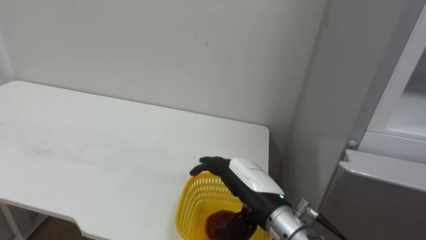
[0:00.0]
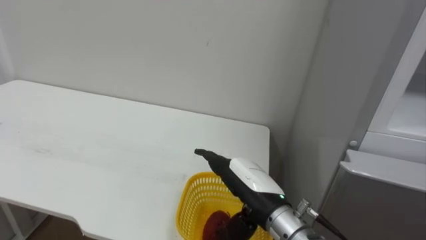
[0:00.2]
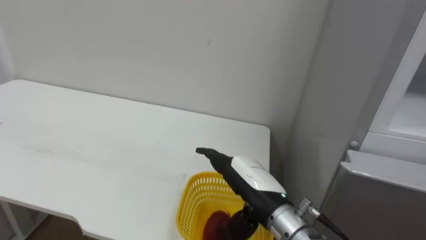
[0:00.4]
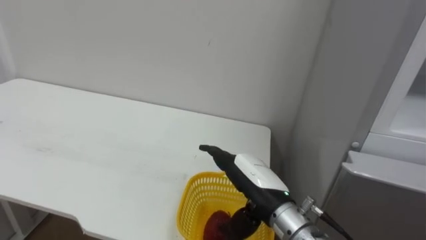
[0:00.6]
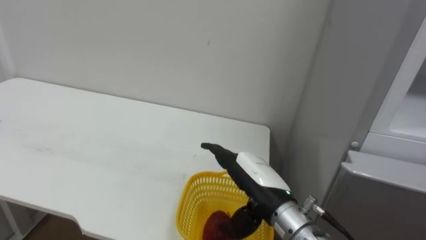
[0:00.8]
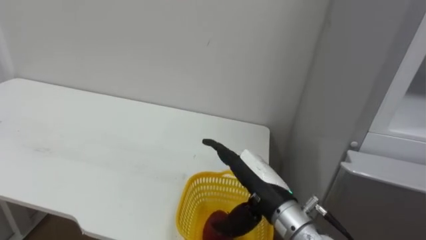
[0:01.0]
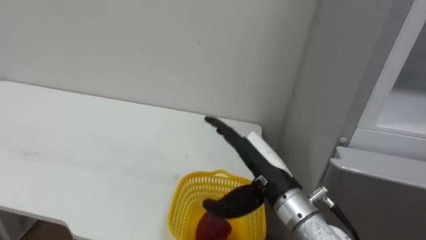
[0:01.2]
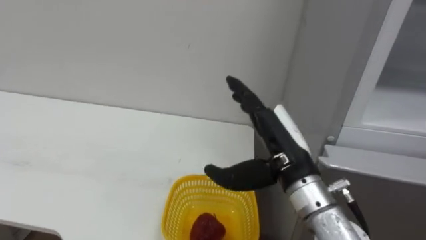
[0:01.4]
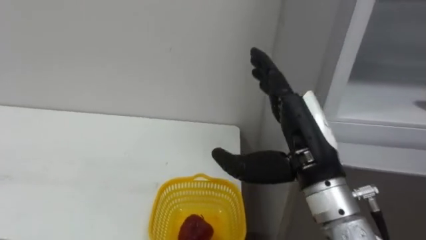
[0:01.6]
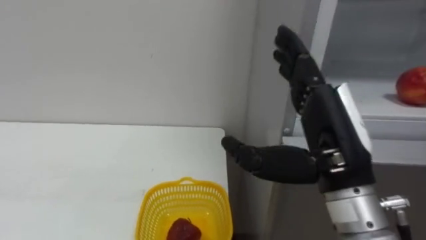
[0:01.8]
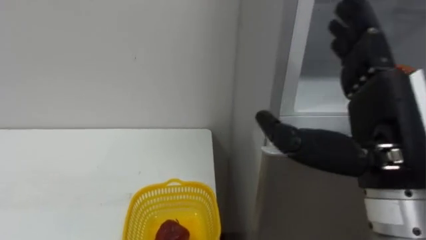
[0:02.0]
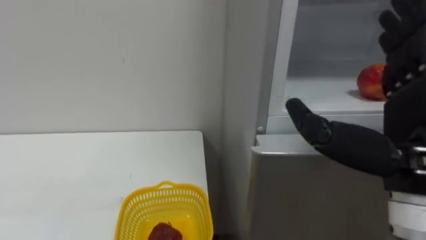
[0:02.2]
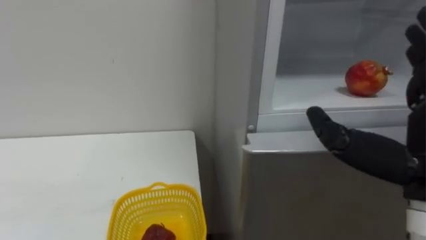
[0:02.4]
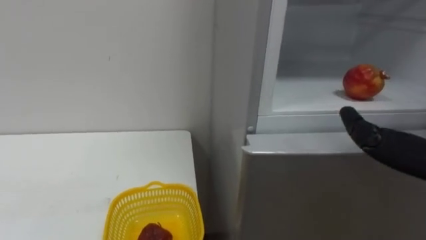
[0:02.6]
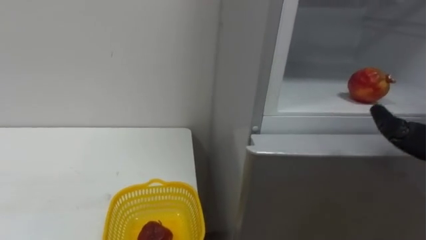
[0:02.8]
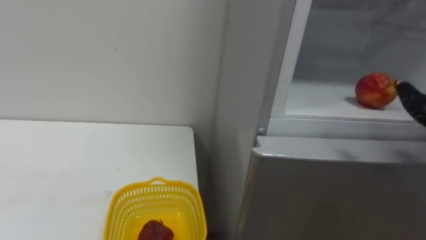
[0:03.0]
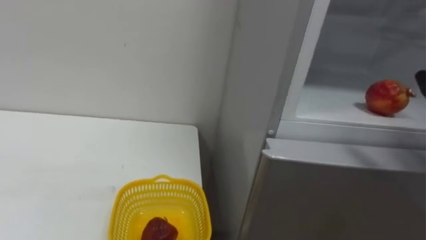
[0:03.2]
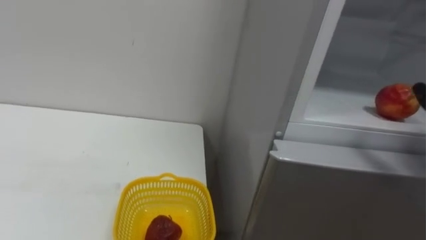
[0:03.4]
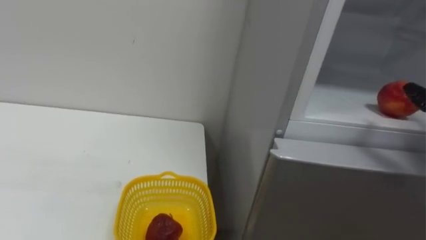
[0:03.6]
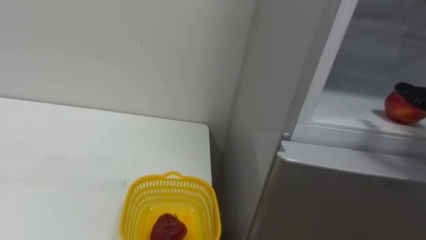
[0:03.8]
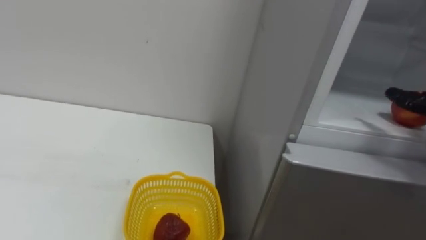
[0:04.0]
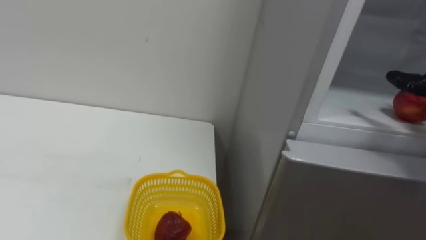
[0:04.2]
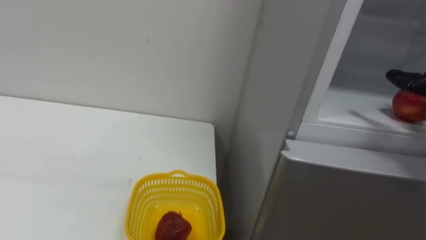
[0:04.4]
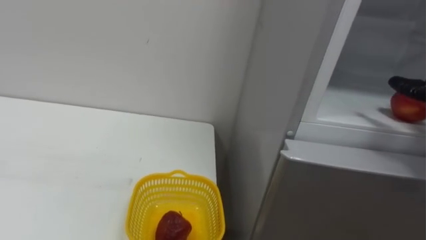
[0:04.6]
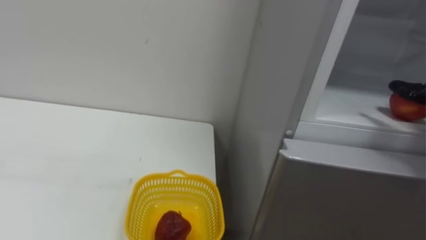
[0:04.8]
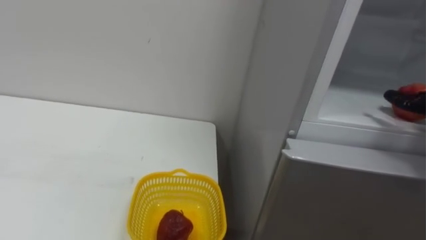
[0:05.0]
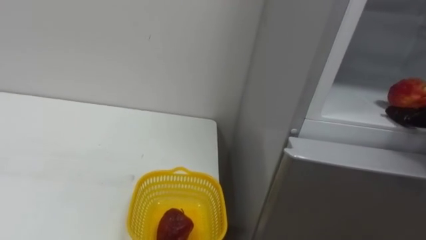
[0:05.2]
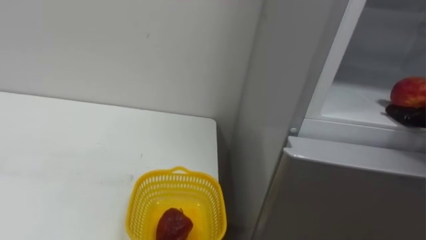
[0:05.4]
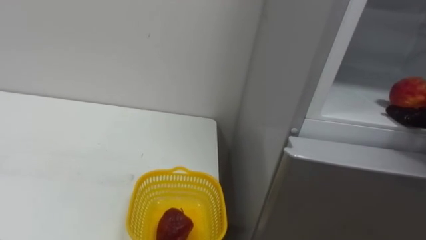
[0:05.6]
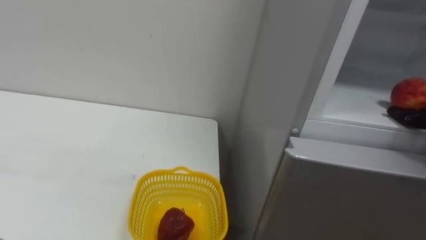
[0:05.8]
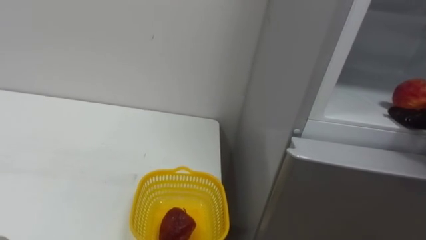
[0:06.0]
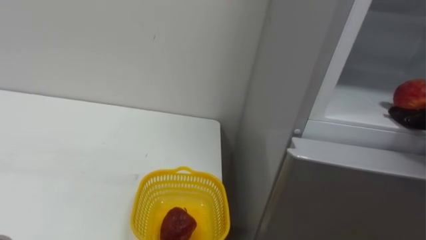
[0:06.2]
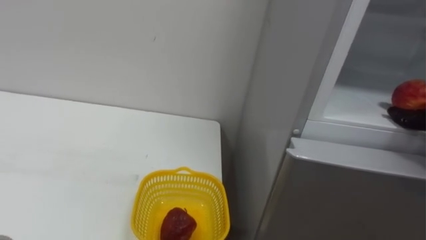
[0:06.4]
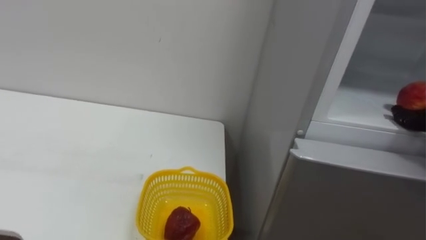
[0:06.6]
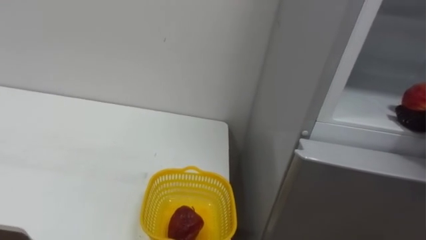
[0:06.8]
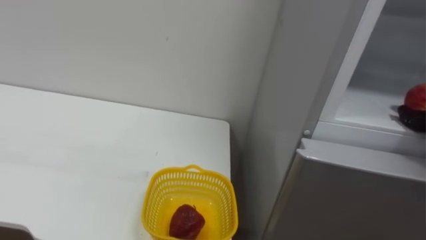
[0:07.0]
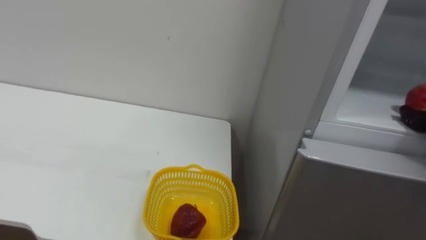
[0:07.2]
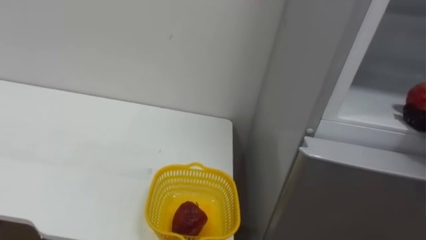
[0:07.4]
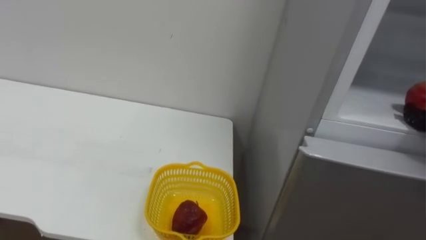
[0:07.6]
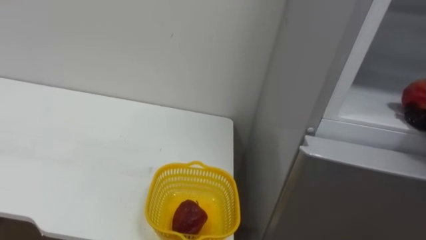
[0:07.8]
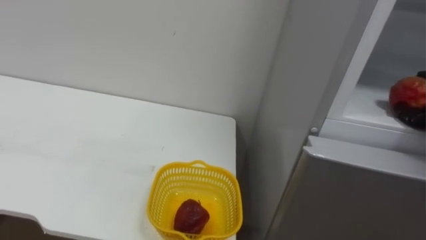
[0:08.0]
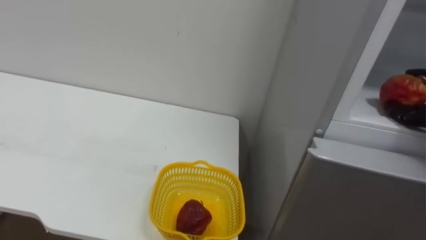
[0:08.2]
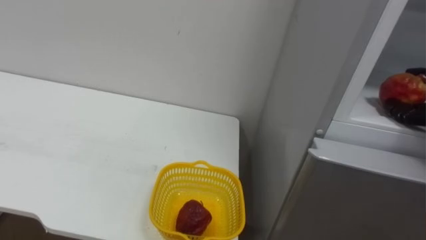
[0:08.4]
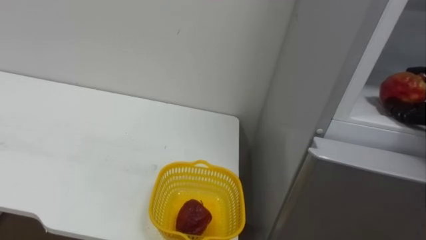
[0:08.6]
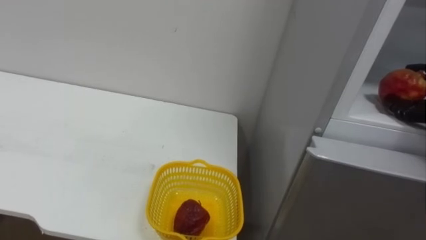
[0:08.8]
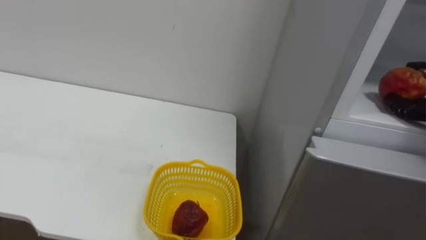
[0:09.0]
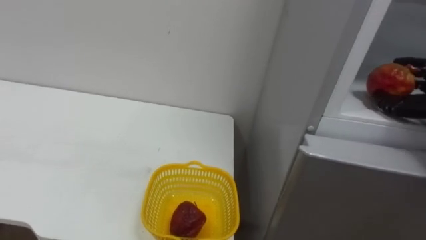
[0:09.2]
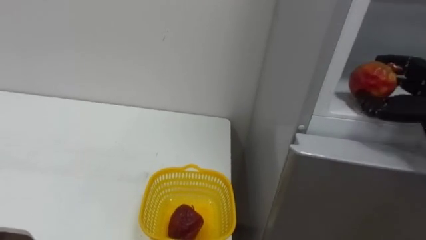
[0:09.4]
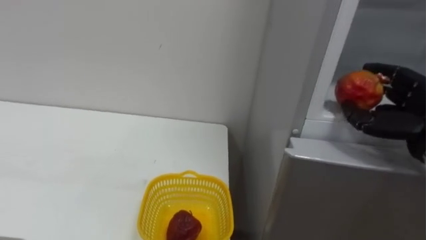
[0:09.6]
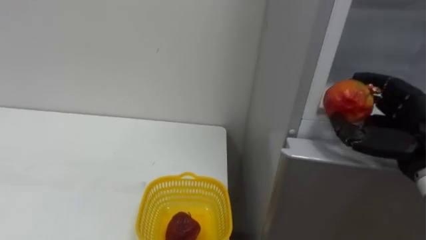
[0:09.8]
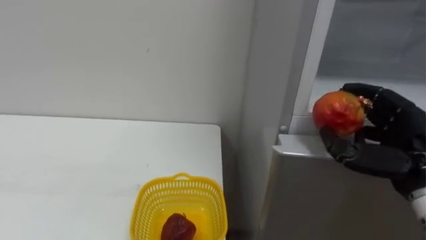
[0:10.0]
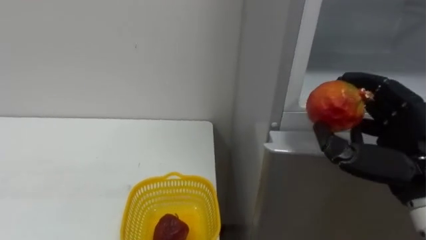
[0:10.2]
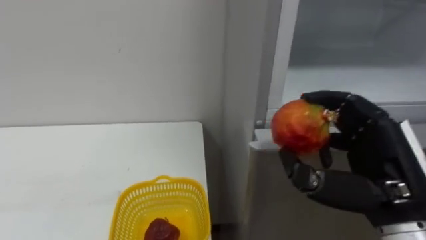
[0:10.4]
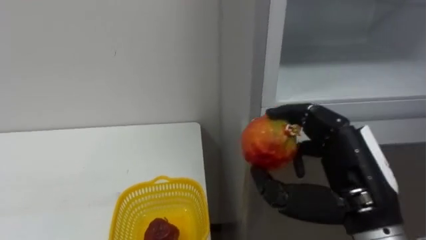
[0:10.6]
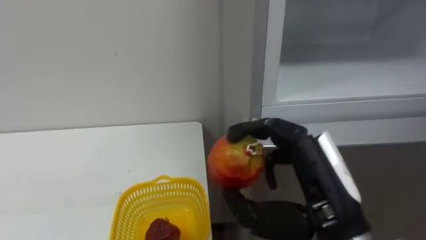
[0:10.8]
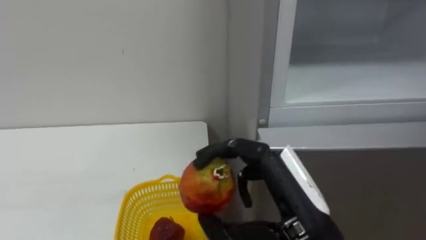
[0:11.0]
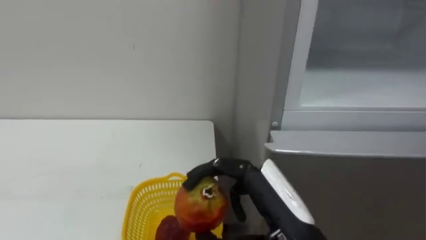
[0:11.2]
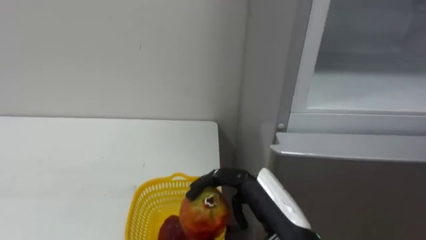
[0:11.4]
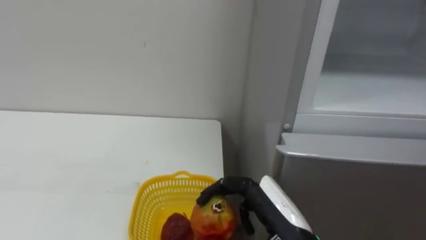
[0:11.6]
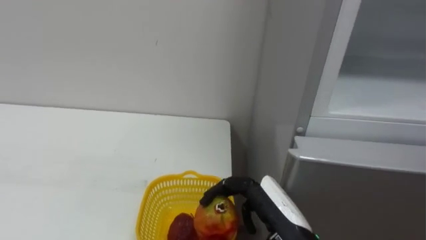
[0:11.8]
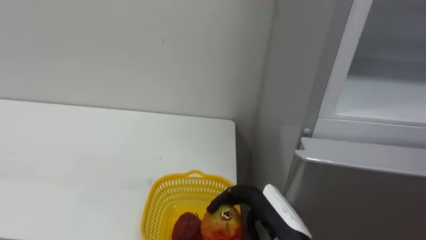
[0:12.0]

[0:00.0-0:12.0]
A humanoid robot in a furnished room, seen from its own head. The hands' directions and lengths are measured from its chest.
Task of the whole recording: Open the refrigerator door, take out the apple and the pomegranate, place them in the fruit basket on the left, and close the refrigerator door.
0:00.0 to 0:01.6: The right hand goes about 15 cm upward and to the right.
0:10.4 to 0:12.0: The right hand is displaced to the left and downward by about 15 cm.

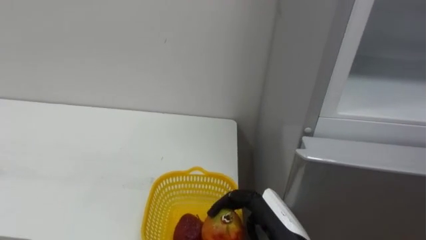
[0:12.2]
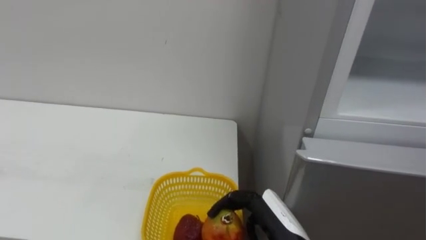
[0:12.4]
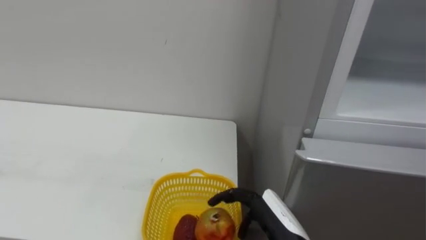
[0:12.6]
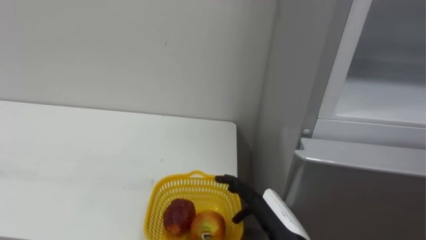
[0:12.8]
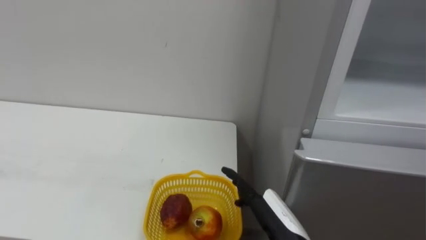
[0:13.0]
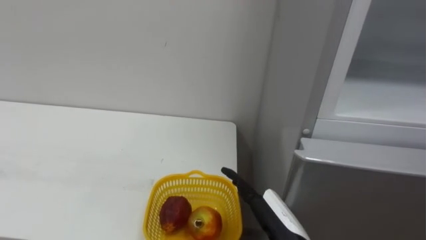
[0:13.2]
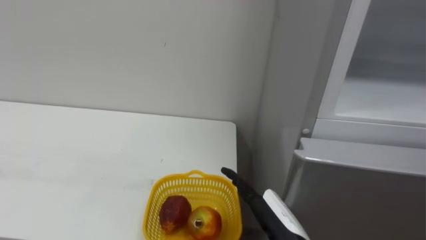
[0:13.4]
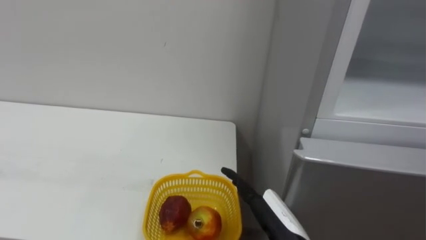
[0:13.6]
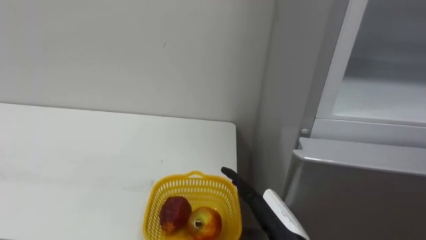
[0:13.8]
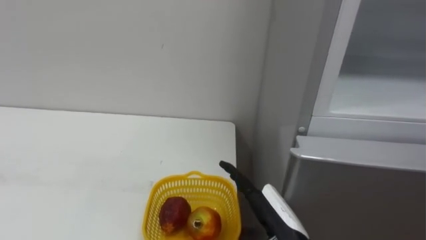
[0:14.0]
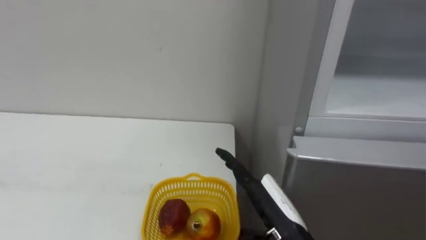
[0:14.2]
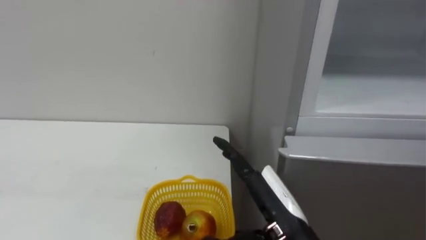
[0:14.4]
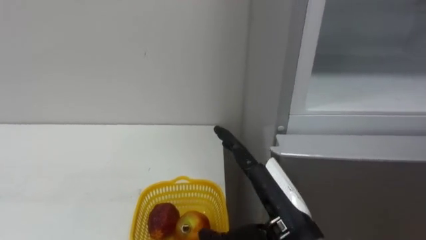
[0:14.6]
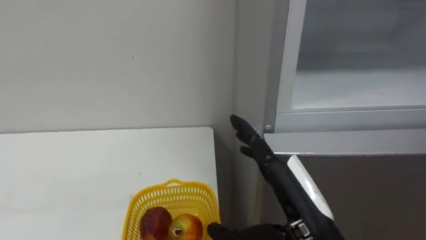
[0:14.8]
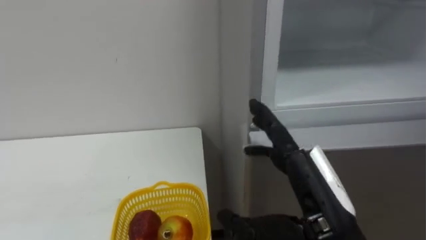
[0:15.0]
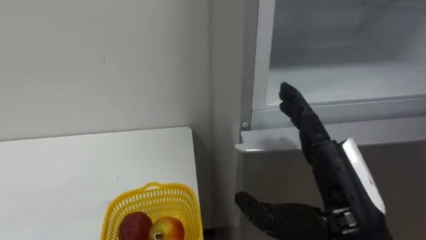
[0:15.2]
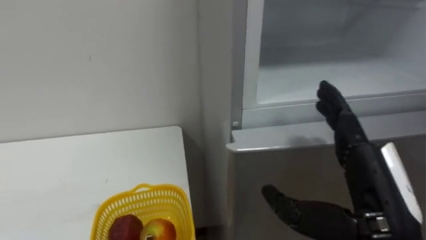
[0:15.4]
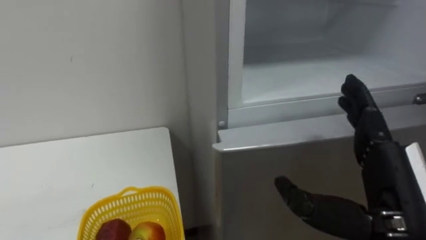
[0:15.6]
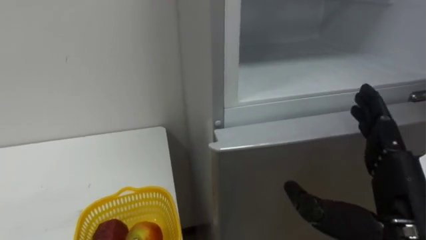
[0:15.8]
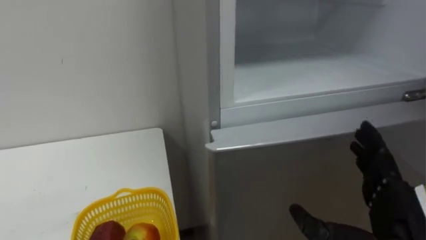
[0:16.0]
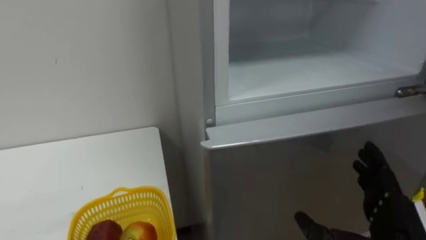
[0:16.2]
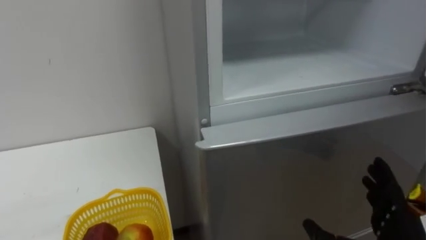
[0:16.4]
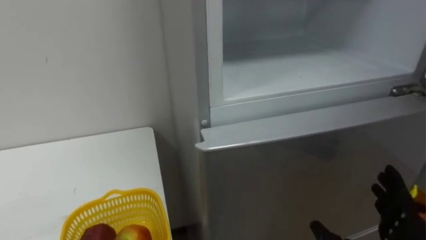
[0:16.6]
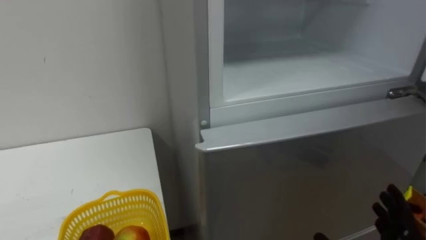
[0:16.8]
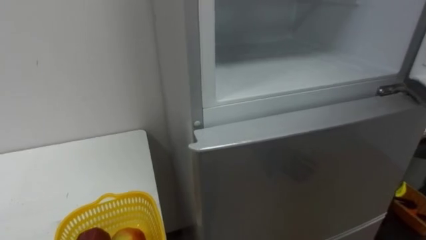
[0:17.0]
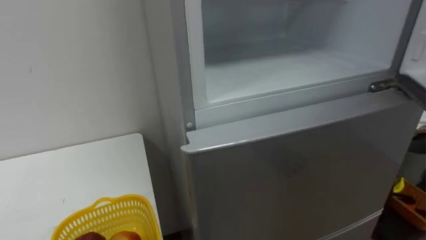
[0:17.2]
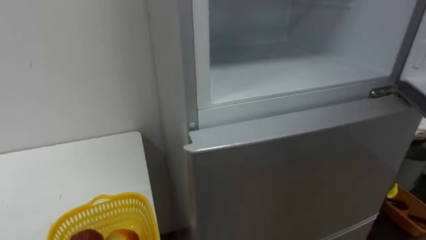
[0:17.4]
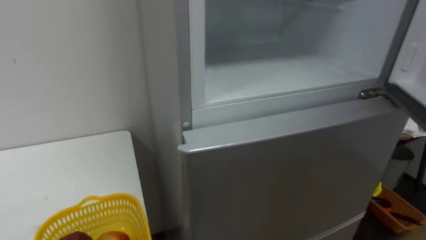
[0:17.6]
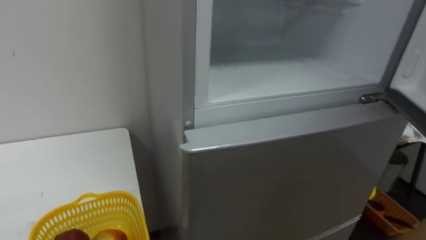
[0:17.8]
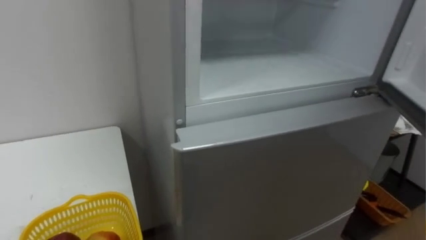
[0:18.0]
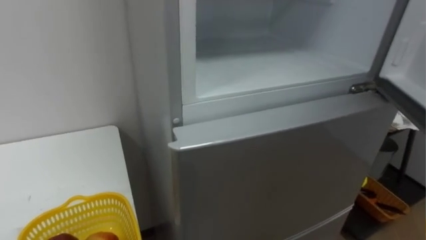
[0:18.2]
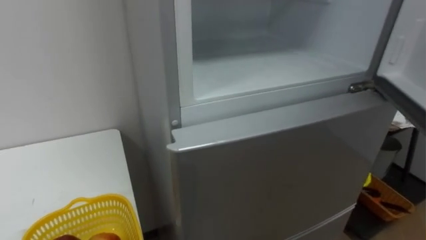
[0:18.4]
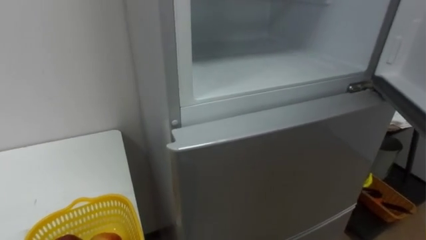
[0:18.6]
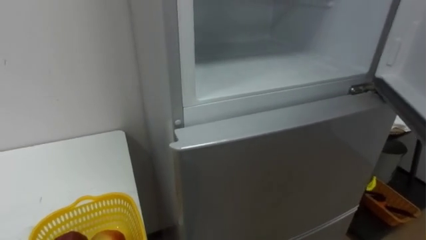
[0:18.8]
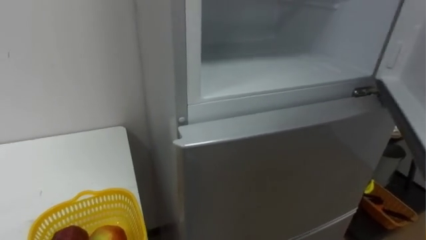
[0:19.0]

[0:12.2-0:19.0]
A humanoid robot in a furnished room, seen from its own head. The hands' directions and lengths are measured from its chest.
Task of the whole recording: Open the refrigerator door, take out the apple and the pomegranate, place them in the fruit basket on the left, and close the refrigerator door.
0:12.2 to 0:13.6: The right hand opens its fingers.
0:13.6 to 0:15.0: The right hand heads upward, covering approximately 10 cm.
0:15.0 to 0:16.2: The right hand goes approximately 15 cm to the right and downward.
